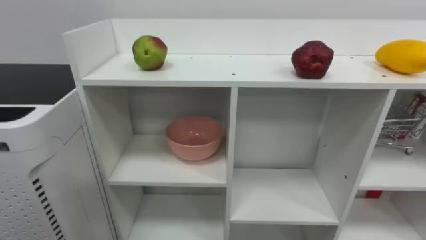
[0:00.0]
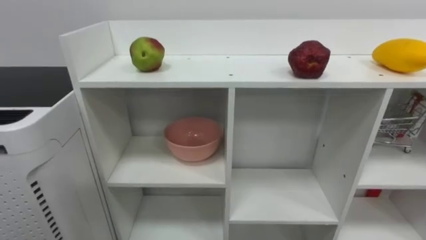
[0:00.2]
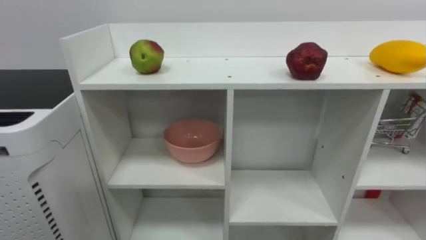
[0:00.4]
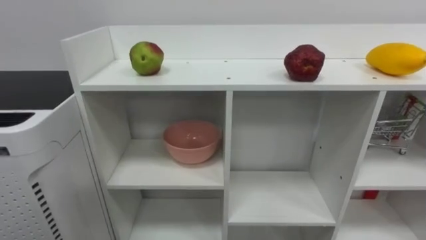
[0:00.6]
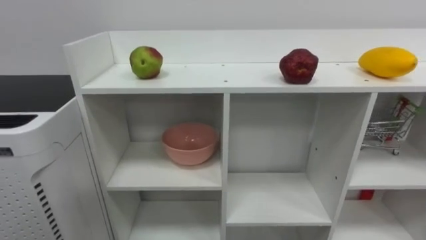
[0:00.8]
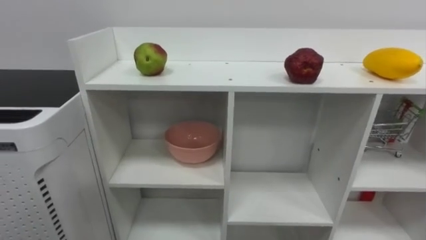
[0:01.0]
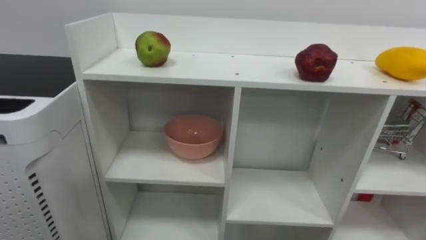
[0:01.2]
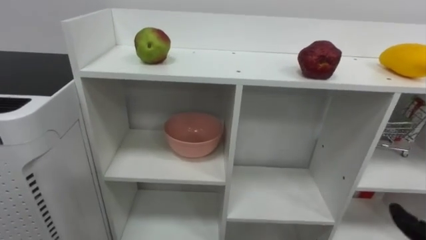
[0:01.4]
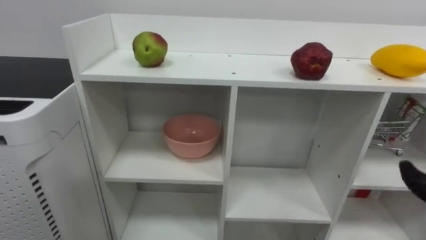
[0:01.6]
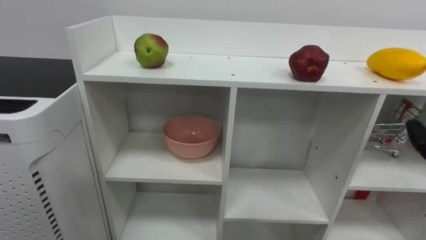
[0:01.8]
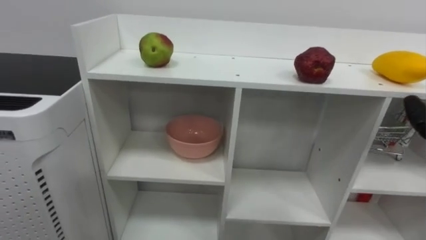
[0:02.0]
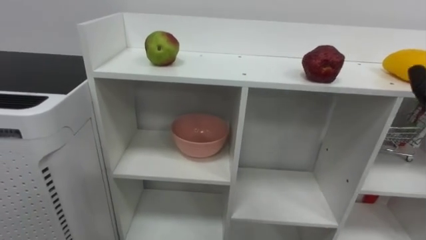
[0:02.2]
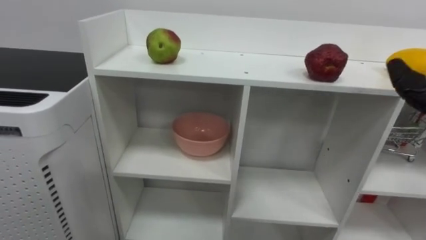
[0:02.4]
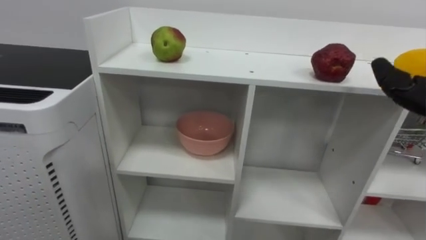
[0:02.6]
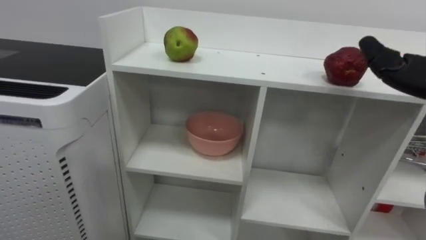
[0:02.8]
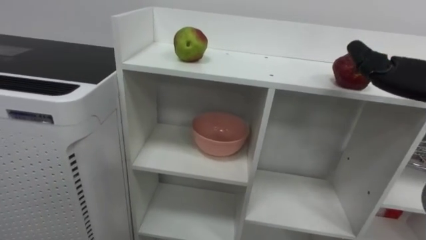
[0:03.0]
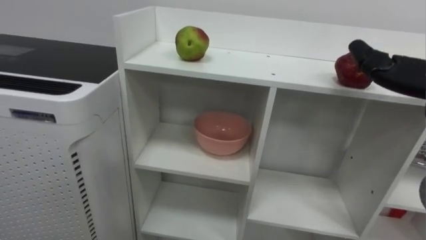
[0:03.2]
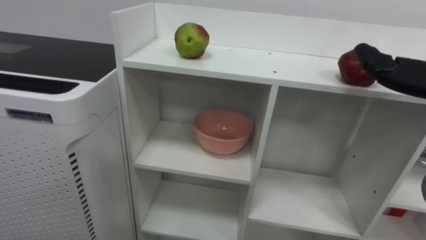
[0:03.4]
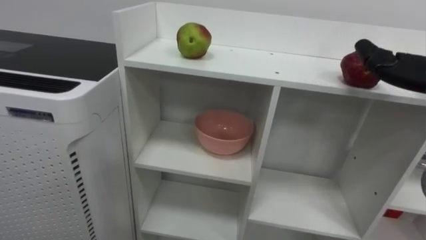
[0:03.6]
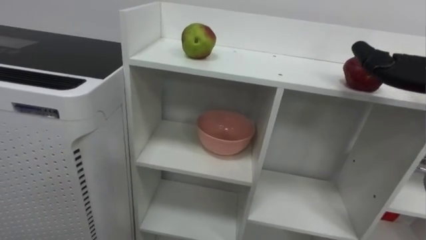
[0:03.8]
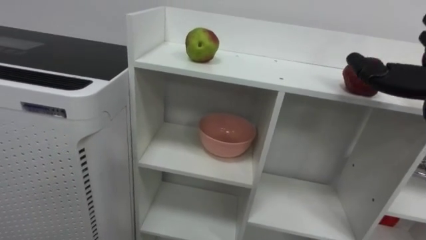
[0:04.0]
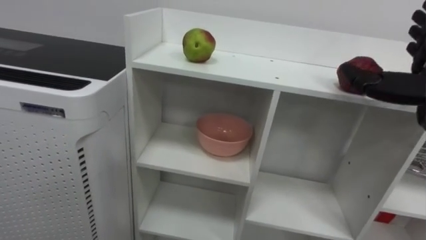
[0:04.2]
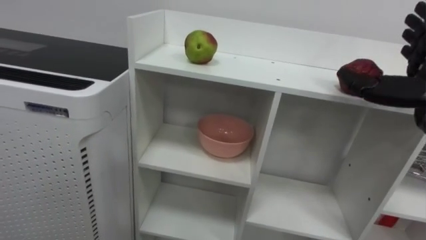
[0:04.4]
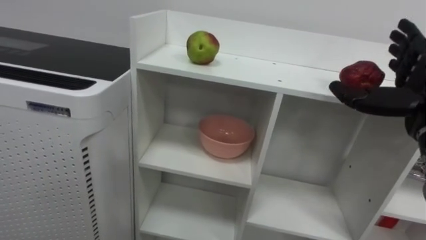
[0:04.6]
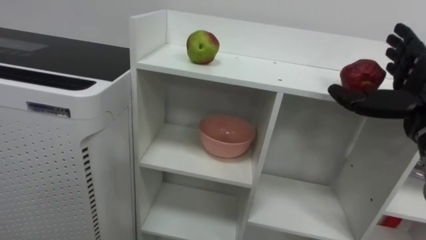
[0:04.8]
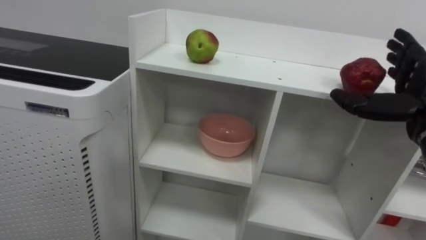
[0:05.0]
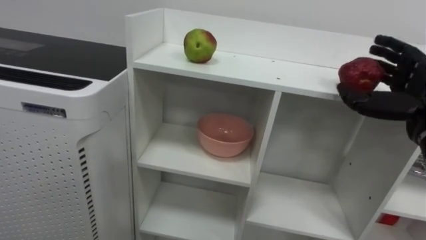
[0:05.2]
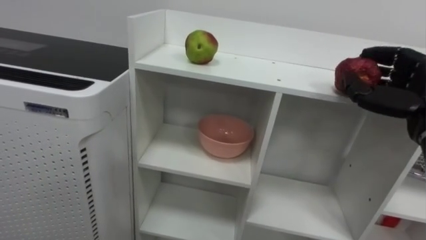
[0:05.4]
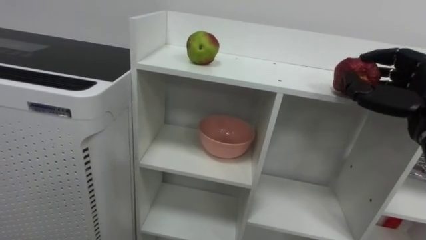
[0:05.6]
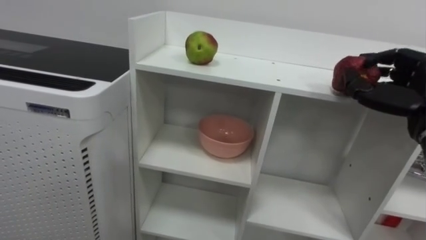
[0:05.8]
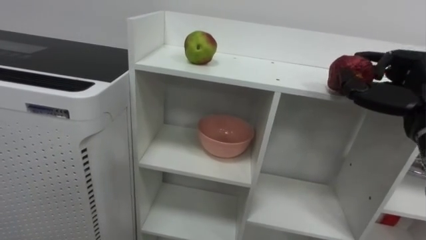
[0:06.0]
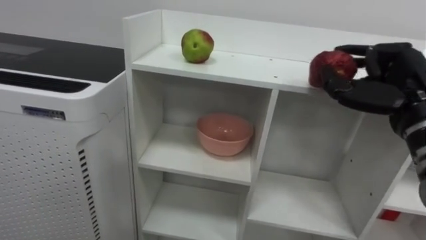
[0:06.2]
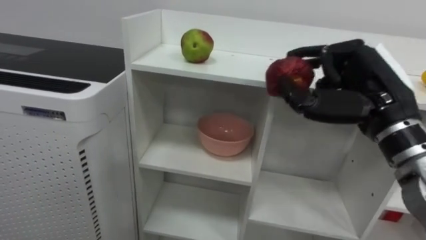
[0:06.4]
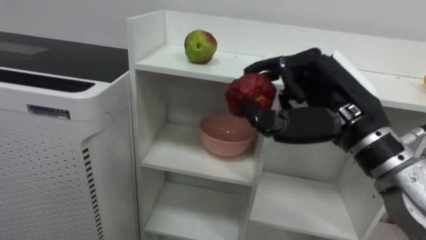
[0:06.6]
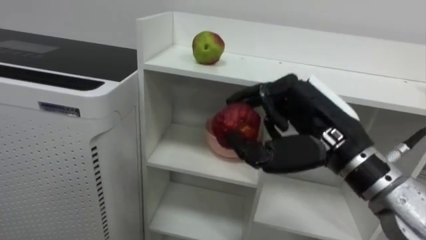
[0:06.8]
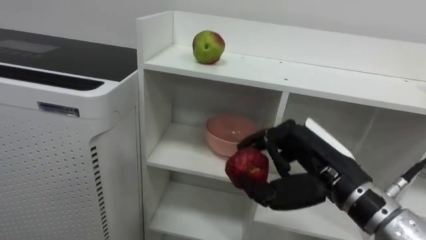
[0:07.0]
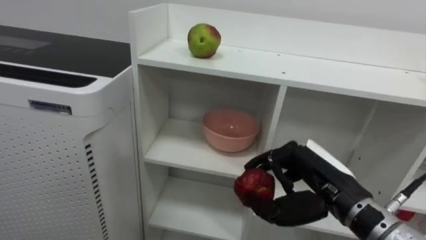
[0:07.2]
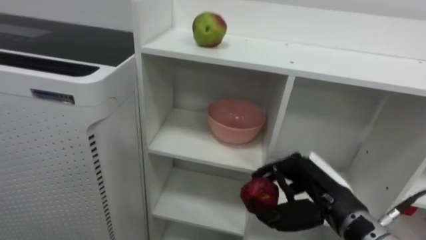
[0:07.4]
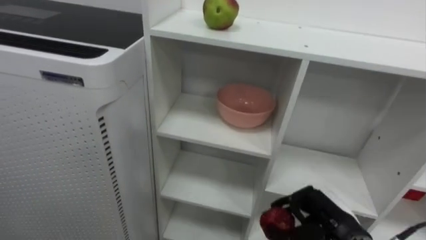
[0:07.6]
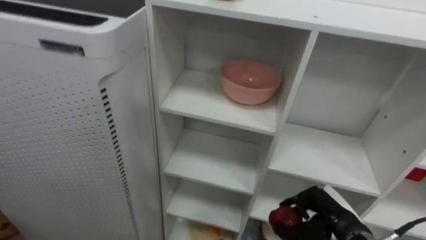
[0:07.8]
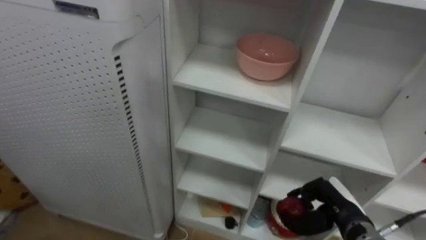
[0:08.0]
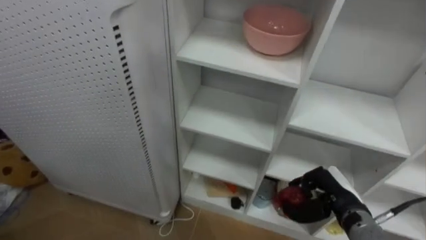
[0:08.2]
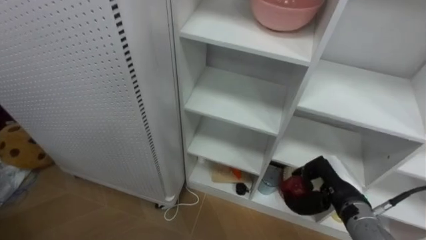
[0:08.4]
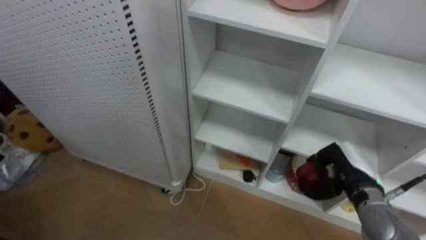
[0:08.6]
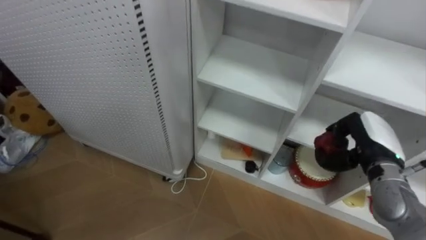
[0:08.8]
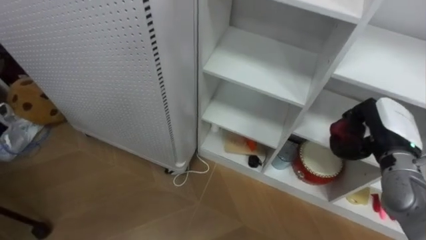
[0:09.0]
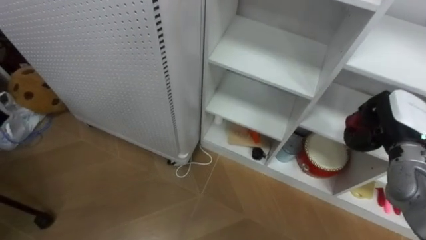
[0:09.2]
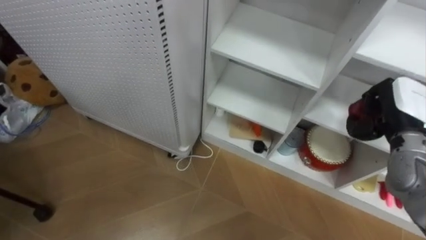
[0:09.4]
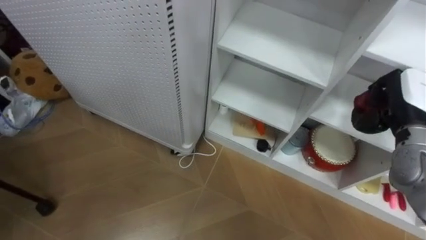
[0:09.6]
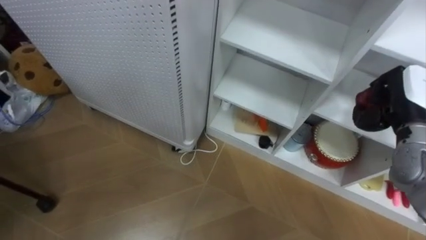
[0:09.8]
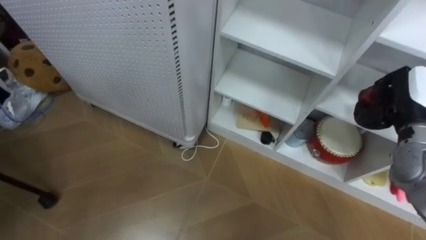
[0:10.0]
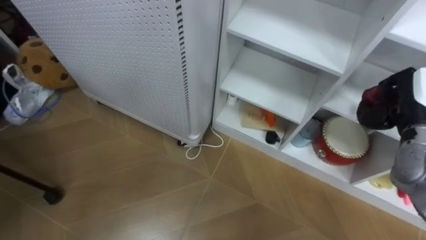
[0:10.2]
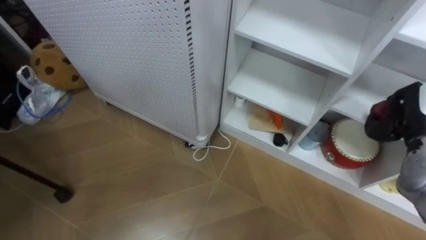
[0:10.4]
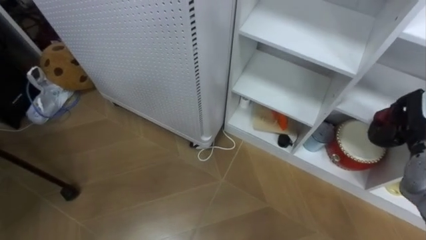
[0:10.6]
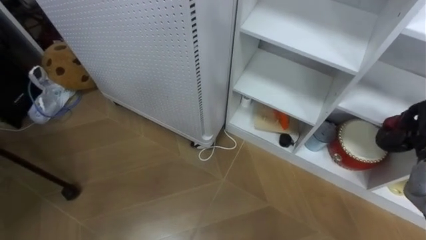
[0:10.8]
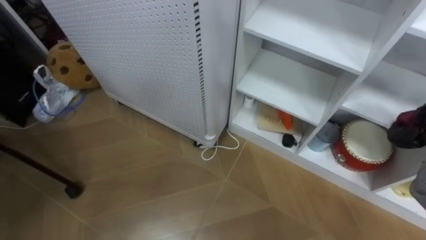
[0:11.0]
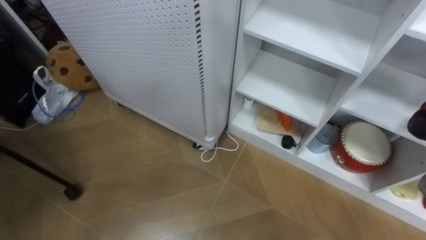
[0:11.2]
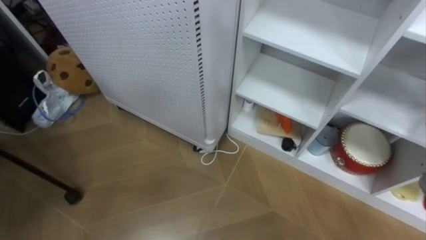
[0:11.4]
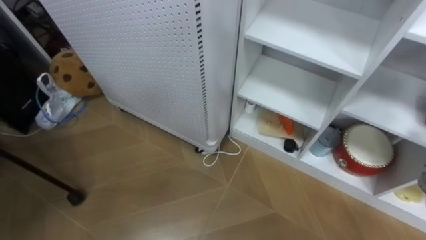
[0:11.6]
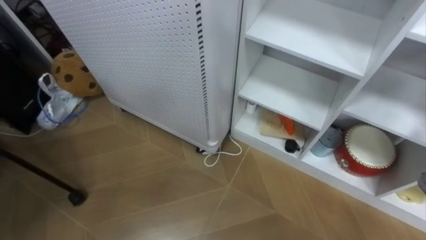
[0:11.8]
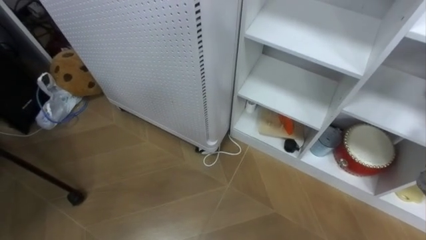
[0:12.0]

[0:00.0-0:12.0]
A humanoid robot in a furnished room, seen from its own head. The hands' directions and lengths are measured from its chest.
Task of the whole recording: Put the apple in the cell in the second column from the left and the second row from the top.
0:06.0 to 0:07.6: The right hand goes roughly 25 cm downward and to the left.
0:07.6 to 0:09.0: The right hand is displaced upward, to the right and forward by roughly 15 cm.
0:09.0 to 0:10.4: The right hand changes place by approximately 5 cm.

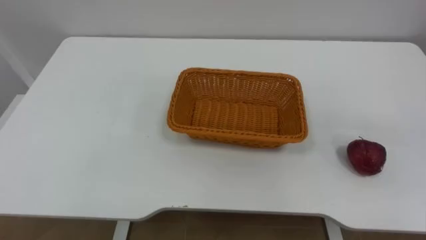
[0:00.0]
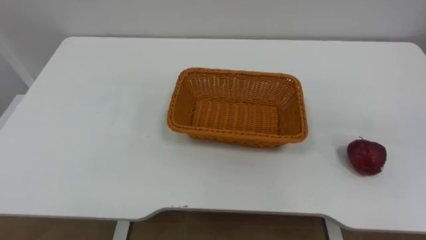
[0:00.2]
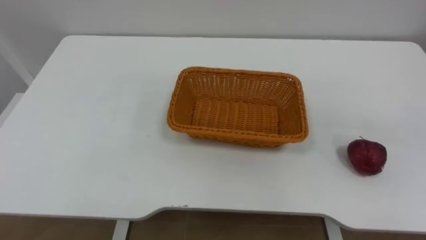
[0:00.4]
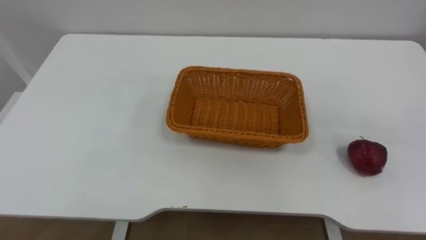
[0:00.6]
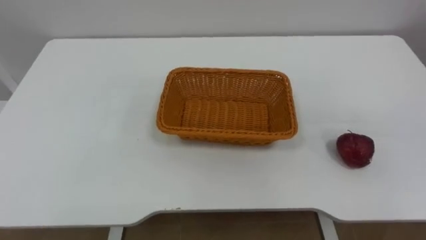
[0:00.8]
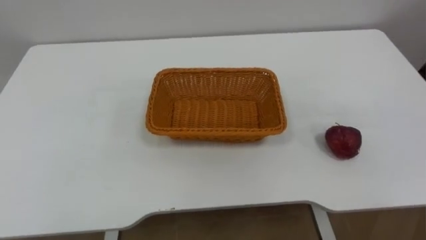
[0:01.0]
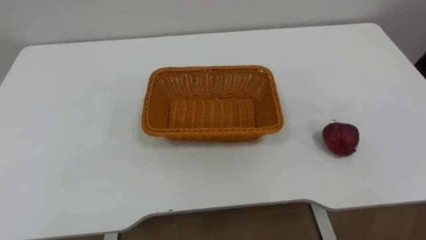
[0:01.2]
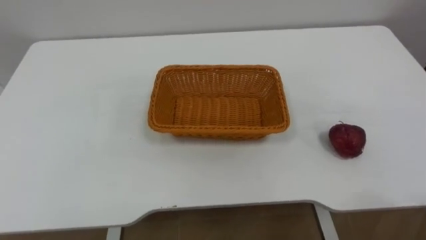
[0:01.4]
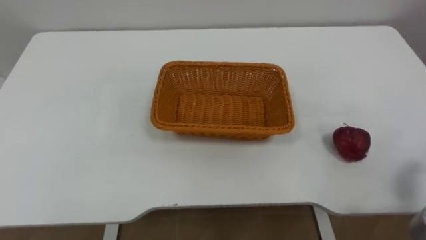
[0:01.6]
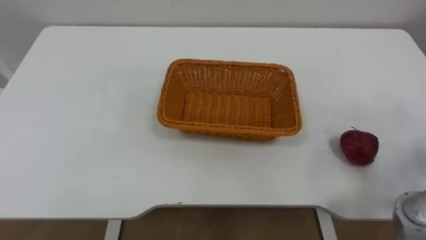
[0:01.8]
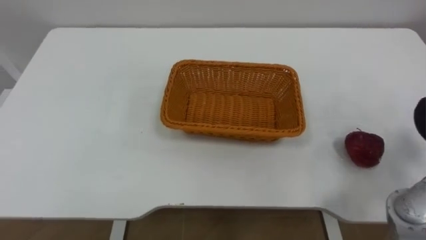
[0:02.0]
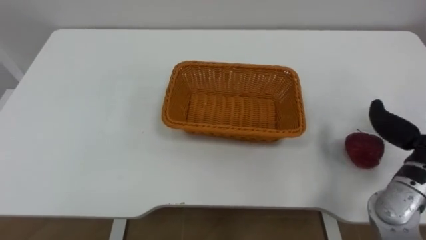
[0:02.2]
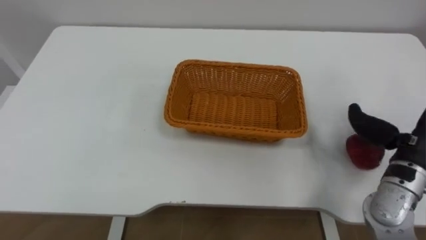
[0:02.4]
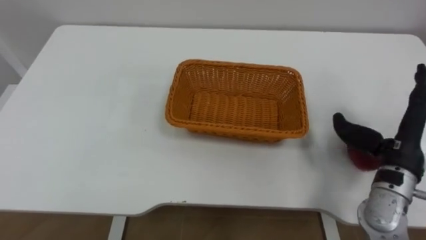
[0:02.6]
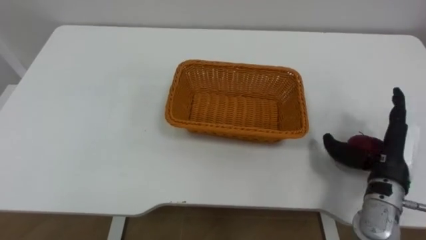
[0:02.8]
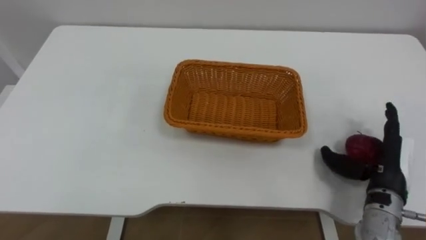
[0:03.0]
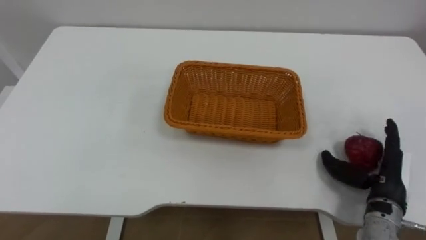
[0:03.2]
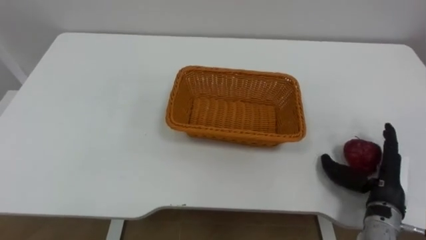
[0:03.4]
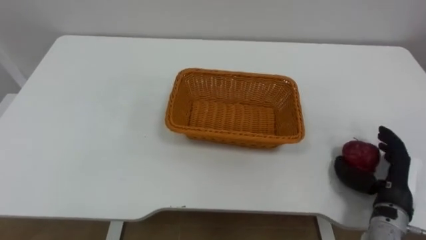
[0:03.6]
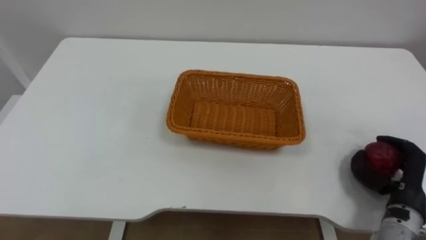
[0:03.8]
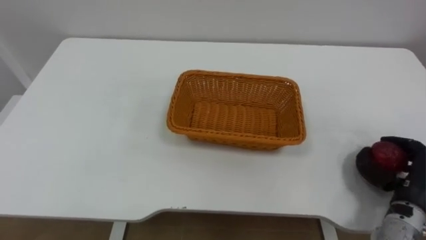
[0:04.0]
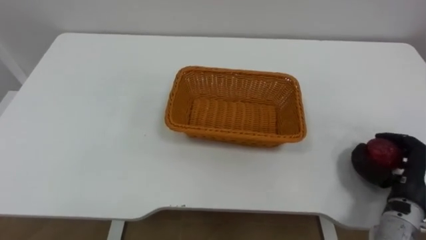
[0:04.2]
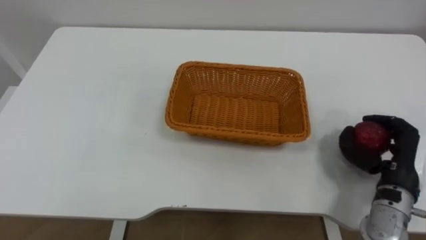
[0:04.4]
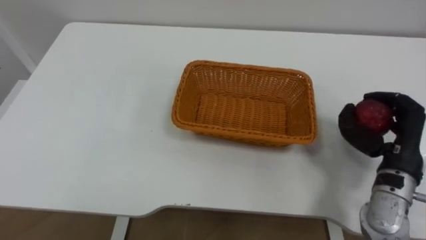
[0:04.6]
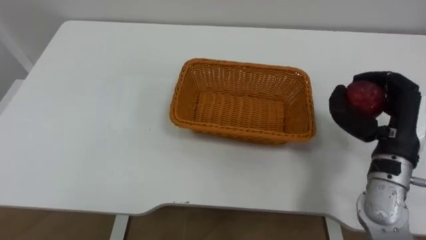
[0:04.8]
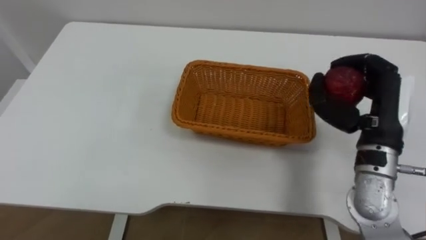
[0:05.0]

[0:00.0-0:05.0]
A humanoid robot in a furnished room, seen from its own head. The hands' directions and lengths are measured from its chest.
Task of the whole recording: Pick the apple and place it in the box.
0:03.4 to 0:05.0: The right hand moves upward, approximately 15 cm, and closes up.
